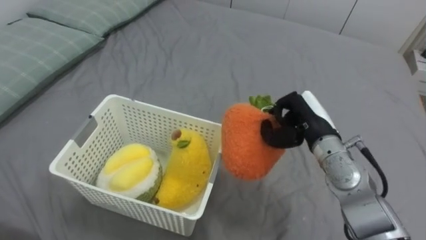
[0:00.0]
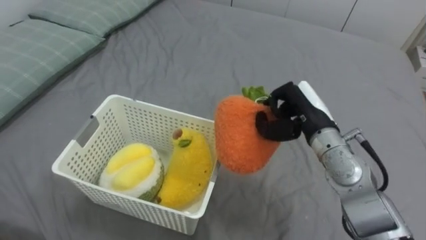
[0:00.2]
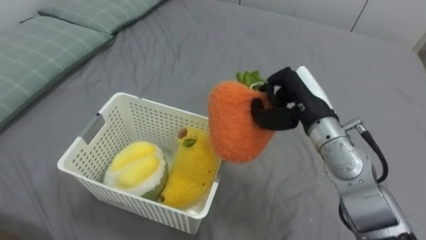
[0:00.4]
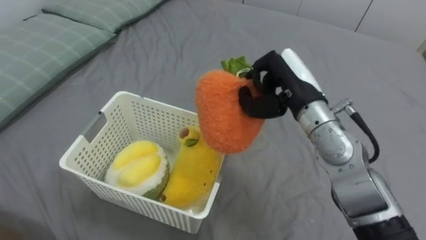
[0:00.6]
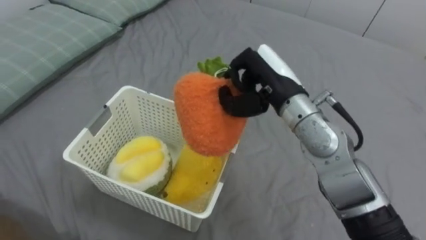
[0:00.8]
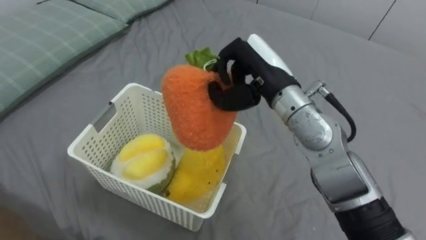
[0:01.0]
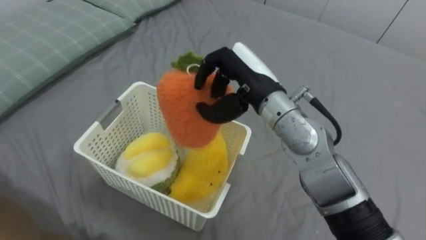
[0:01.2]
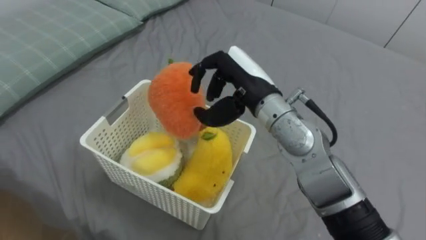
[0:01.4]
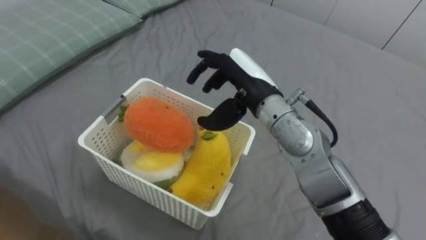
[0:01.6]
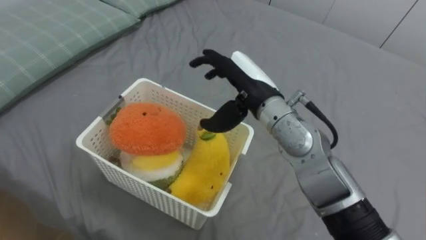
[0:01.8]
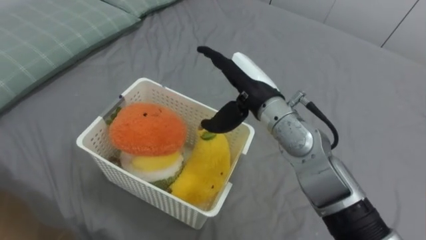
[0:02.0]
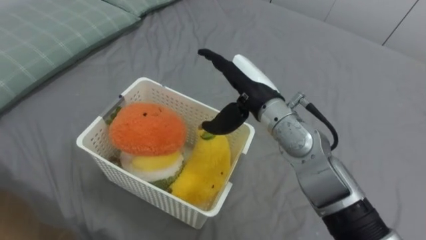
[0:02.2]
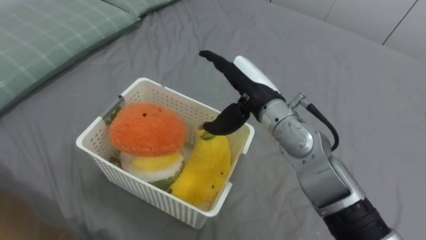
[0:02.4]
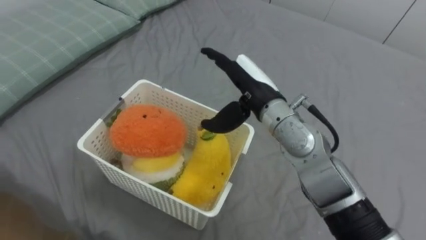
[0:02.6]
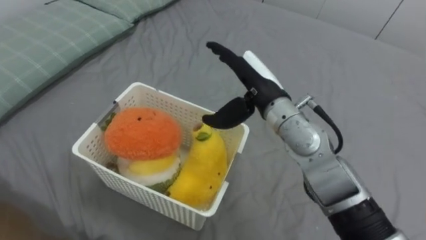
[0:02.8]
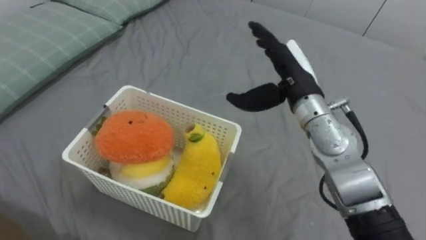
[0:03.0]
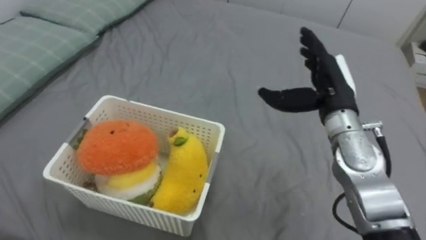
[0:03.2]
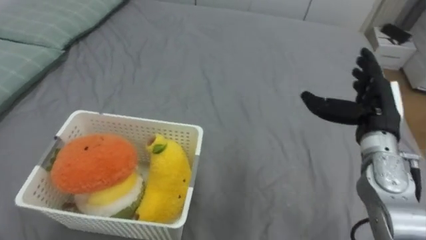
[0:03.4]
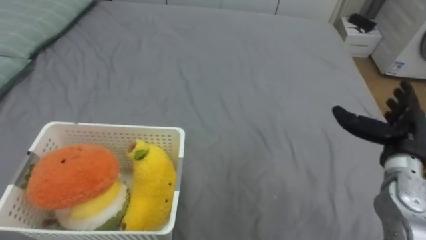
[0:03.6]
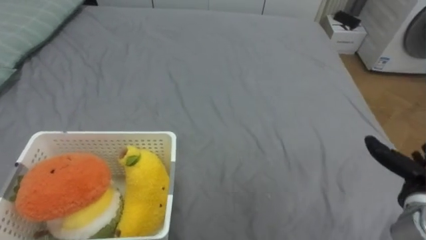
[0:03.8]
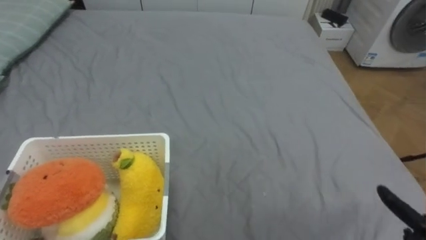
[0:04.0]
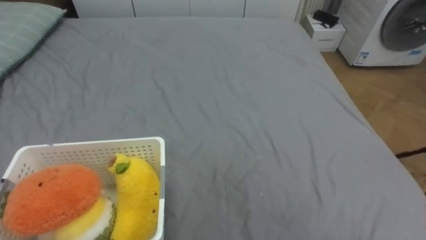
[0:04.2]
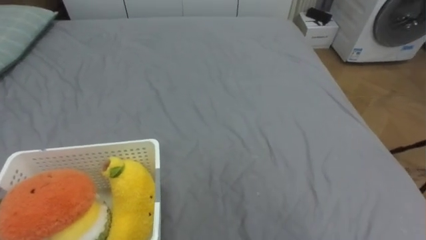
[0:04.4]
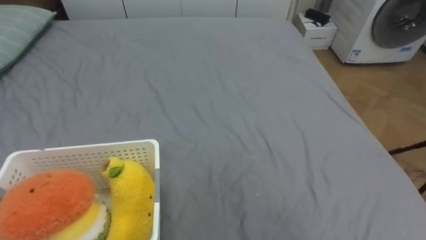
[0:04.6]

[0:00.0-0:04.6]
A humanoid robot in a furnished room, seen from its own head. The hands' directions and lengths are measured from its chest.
Task of the whole recording: Put the toys on the bed into the basket on the left.
0:00.0 to 0:01.6: The right hand travels to the left and upward by about 15 cm, and opens up.
0:01.6 to 0:03.0: The right hand goes roughly 10 cm to the right.

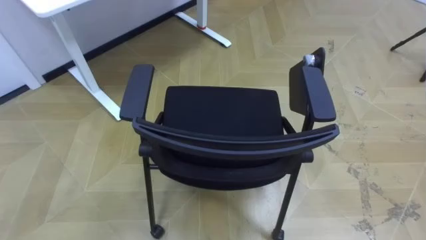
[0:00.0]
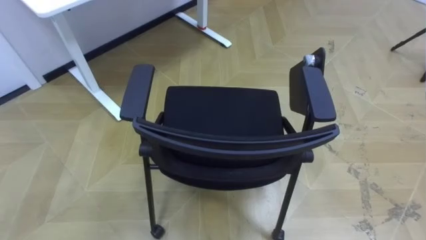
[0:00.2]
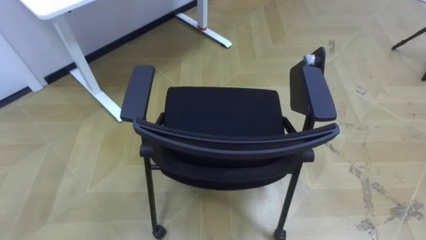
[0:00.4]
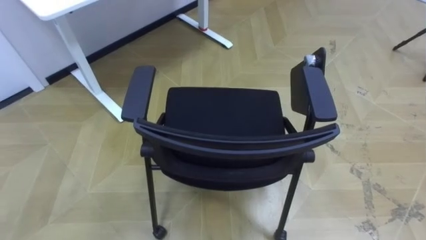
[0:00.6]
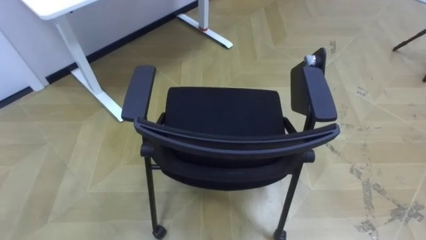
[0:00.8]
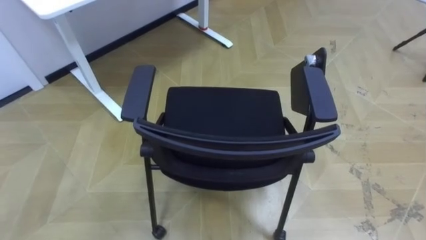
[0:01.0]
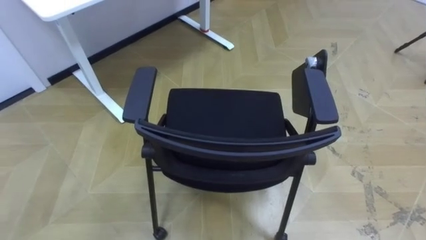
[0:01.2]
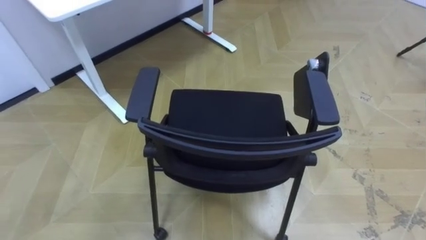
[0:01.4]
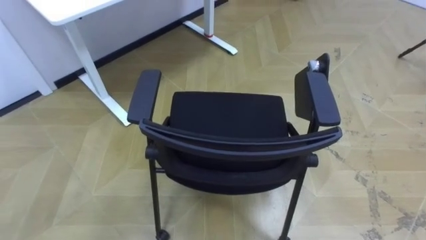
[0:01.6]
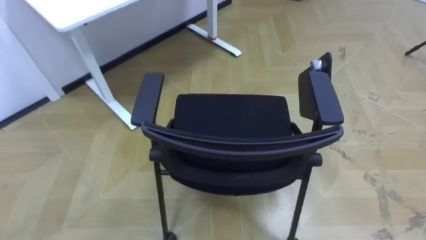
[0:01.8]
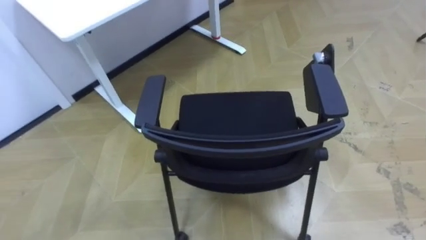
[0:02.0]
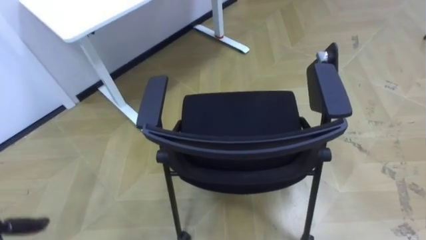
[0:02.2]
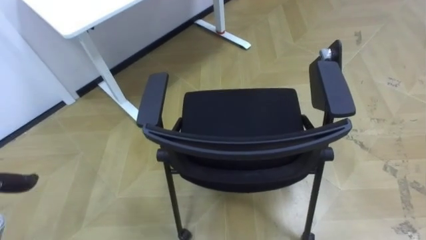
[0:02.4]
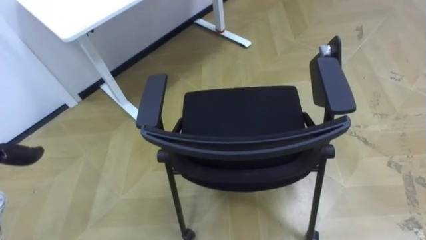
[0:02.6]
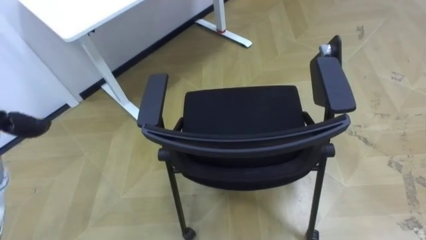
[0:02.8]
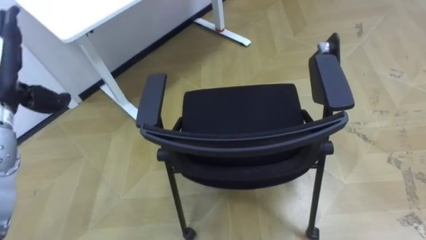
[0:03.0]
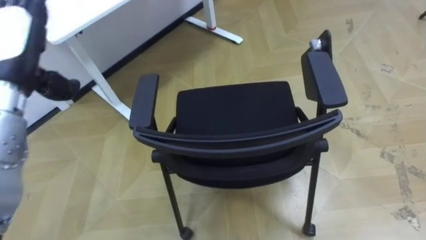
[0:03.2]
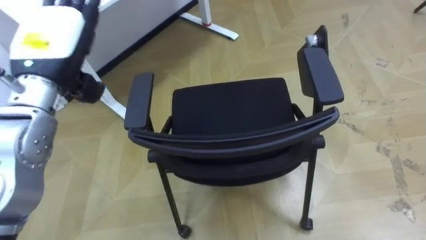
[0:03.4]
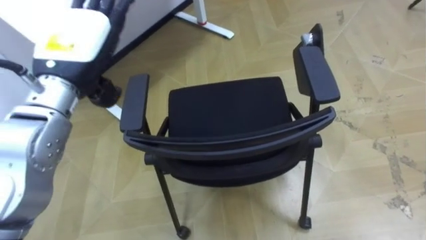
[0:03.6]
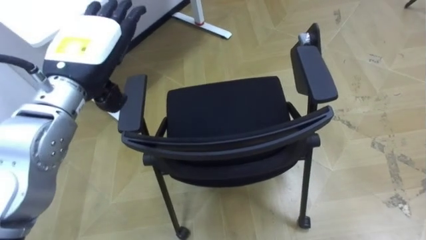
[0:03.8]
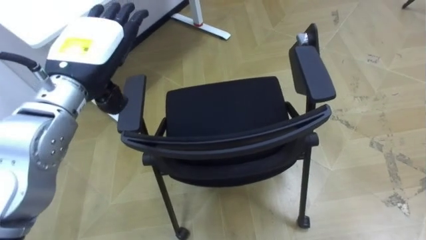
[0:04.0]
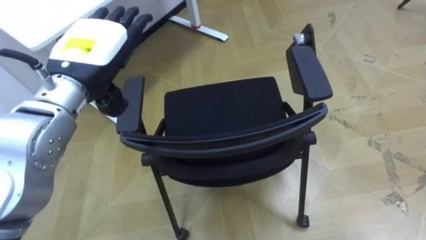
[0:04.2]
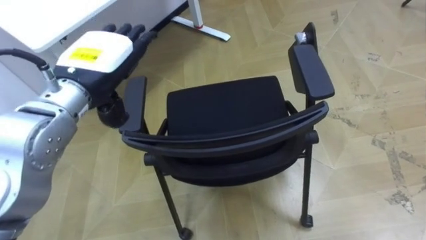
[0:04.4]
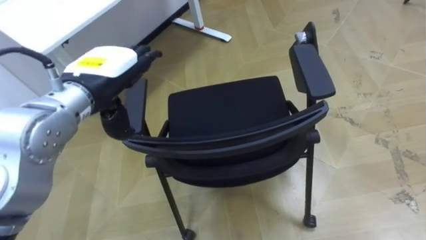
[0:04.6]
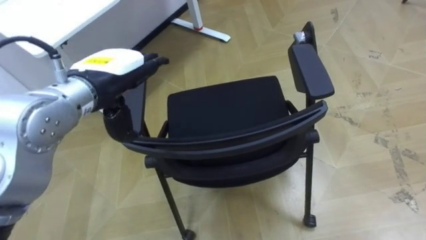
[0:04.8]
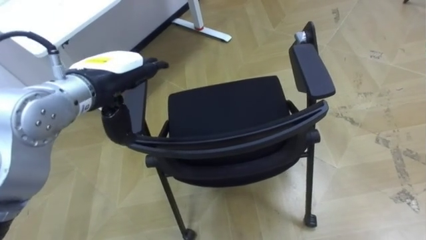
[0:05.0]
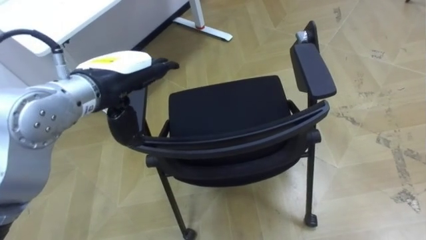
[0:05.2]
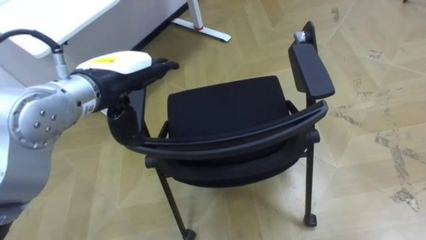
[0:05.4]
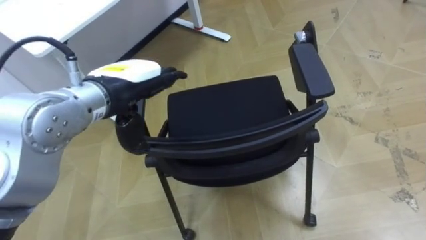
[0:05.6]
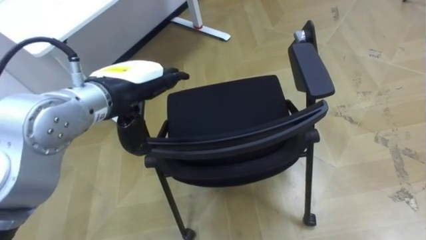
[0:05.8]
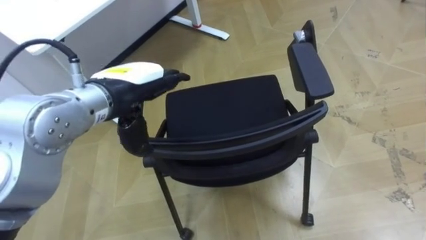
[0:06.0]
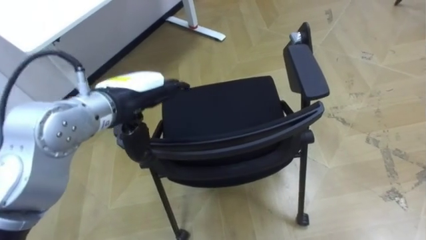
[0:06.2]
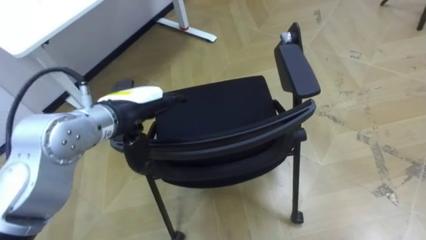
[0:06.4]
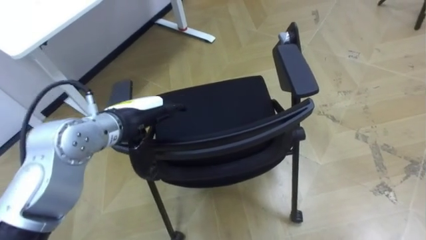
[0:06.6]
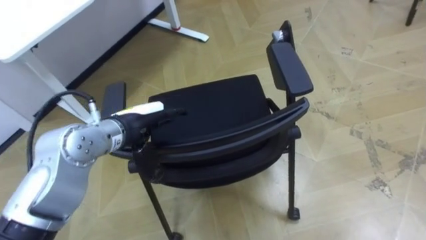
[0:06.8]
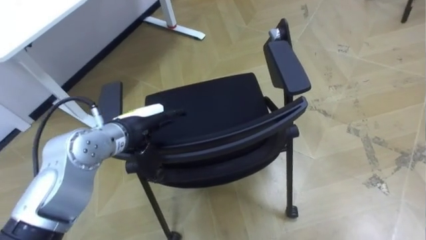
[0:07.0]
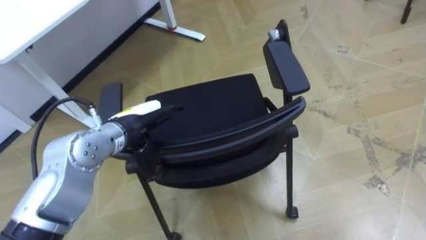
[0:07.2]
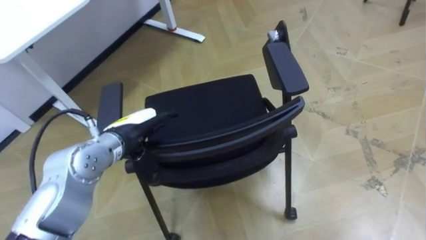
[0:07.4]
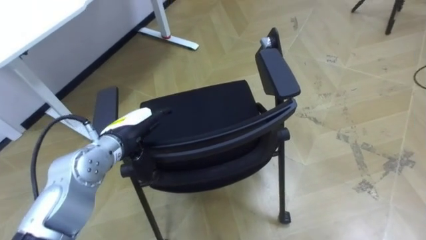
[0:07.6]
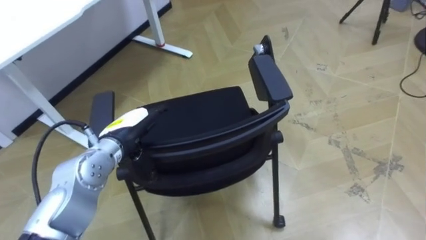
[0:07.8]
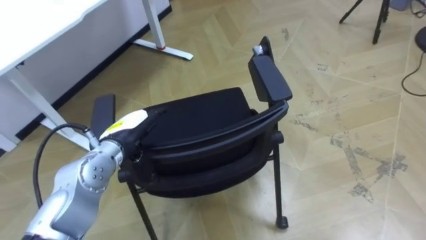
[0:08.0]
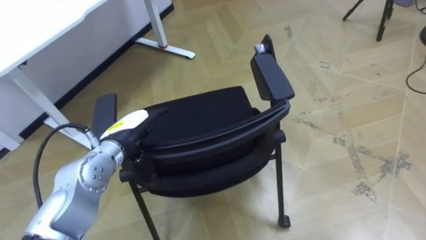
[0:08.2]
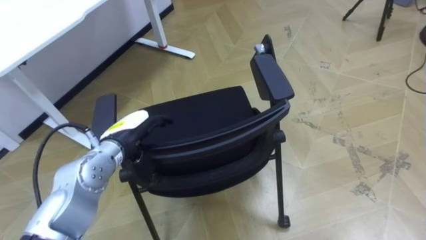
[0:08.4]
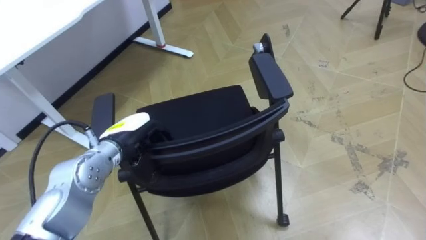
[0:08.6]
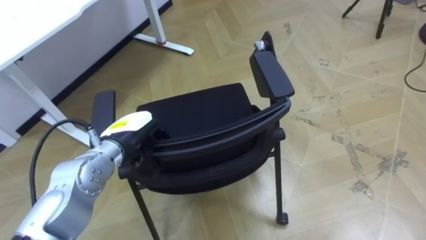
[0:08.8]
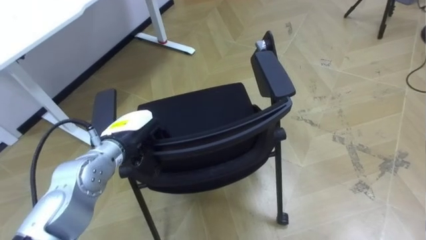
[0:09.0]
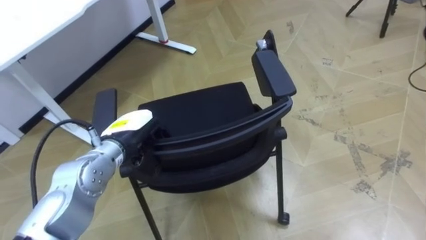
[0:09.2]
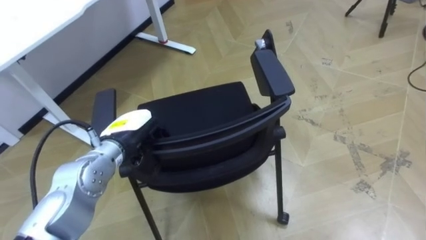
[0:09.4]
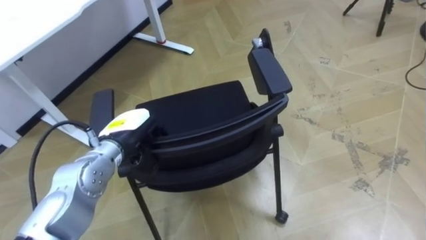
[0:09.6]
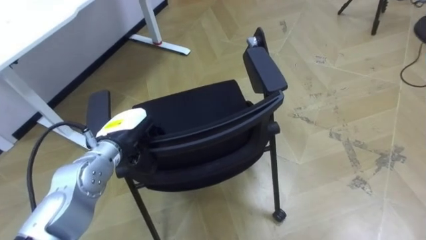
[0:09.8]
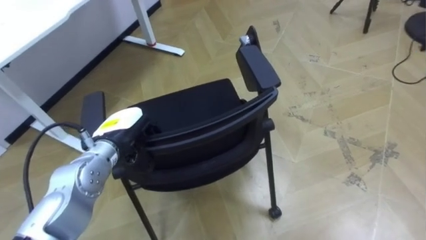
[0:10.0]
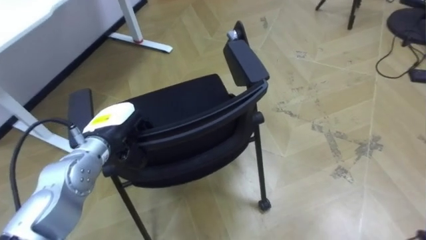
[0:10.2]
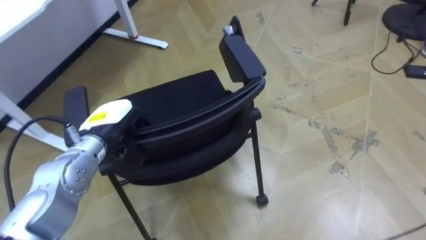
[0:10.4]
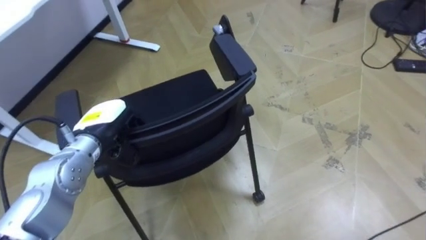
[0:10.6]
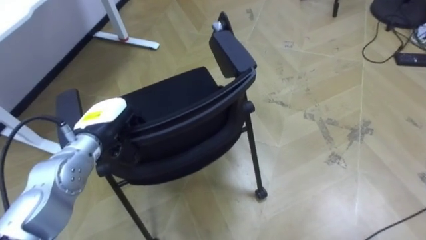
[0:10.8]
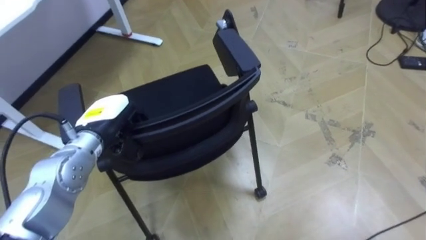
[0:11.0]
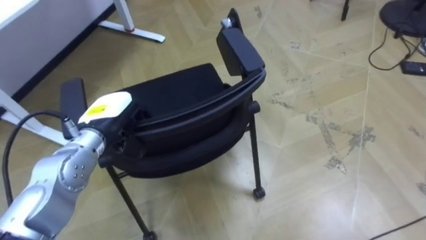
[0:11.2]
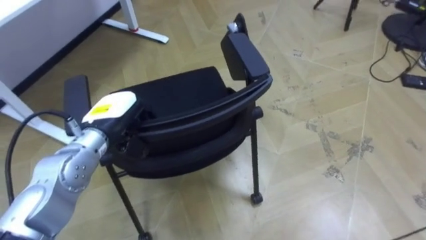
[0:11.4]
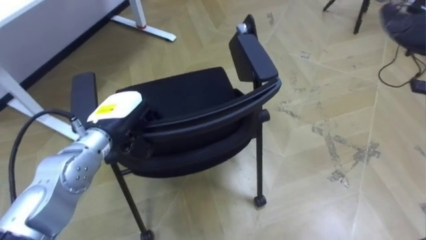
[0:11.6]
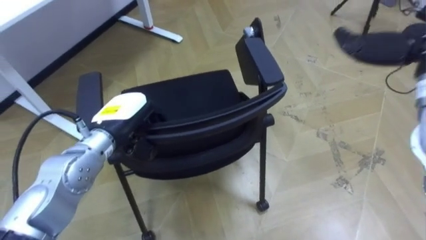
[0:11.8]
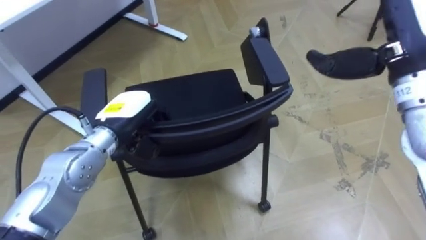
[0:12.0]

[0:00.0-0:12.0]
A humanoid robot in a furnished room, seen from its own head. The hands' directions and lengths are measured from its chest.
Task of the whole recording: Push the chair under the table.
0:04.4 to 0:06.0: The left hand changes place by about 5 cm.
0:06.0 to 0:07.6: The left hand moves downward, some 15 cm.
0:07.6 to 0:09.0: The left hand closes.
